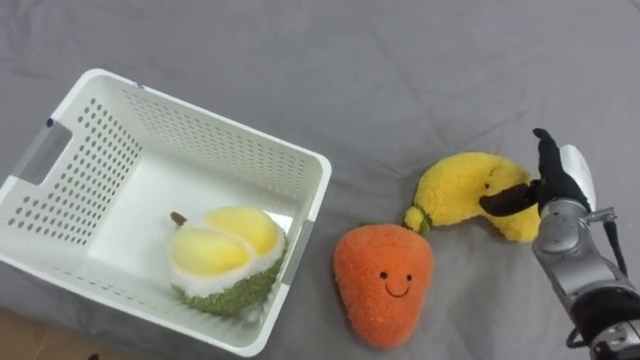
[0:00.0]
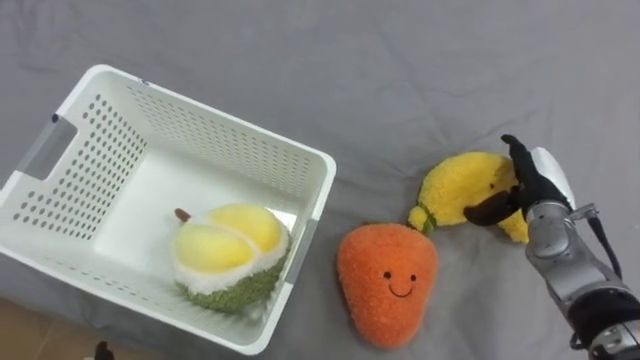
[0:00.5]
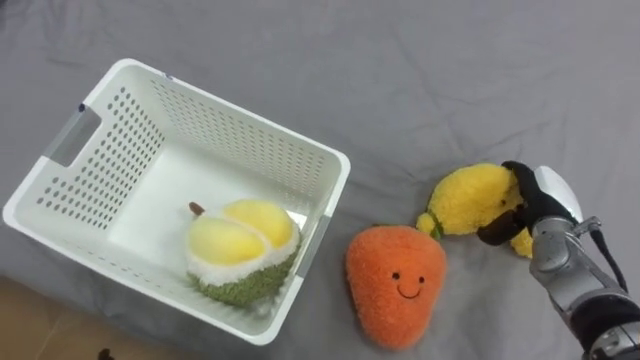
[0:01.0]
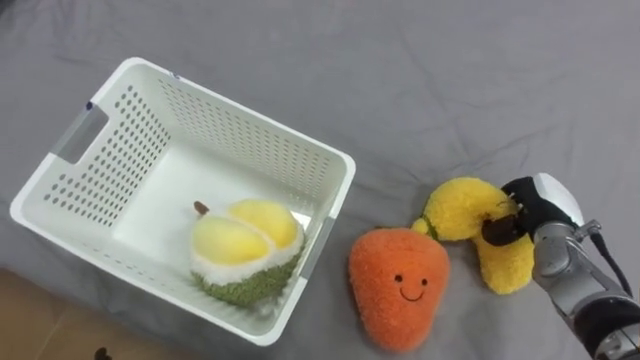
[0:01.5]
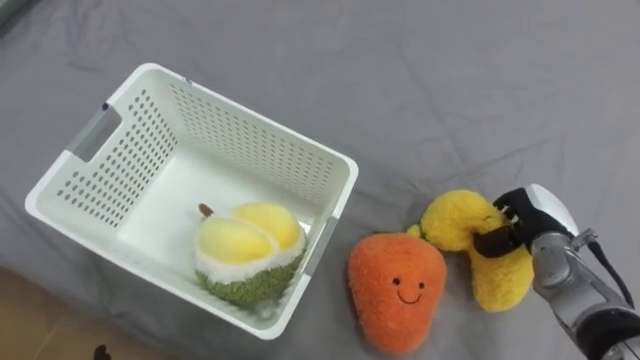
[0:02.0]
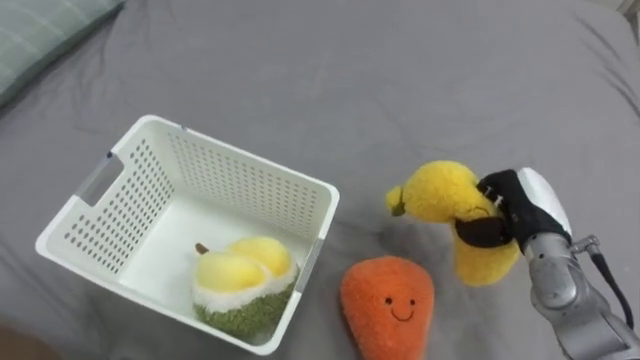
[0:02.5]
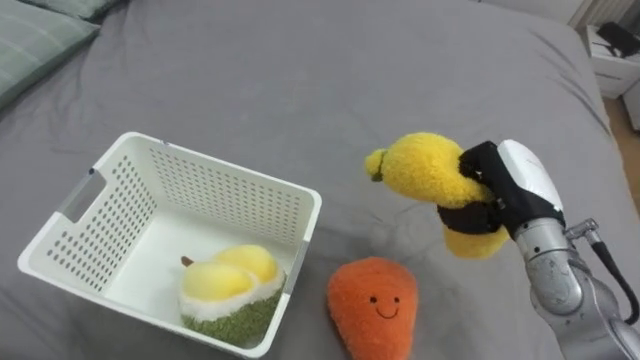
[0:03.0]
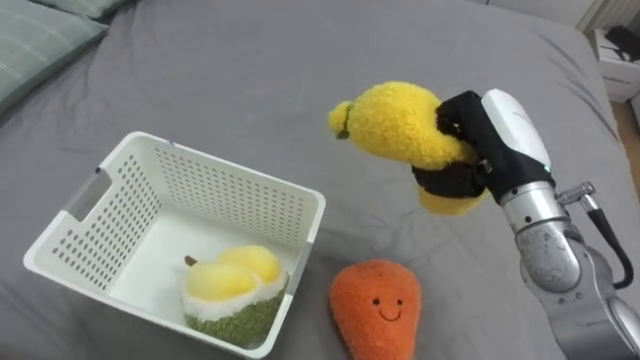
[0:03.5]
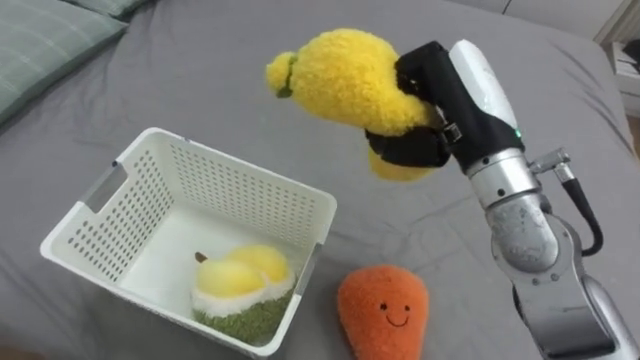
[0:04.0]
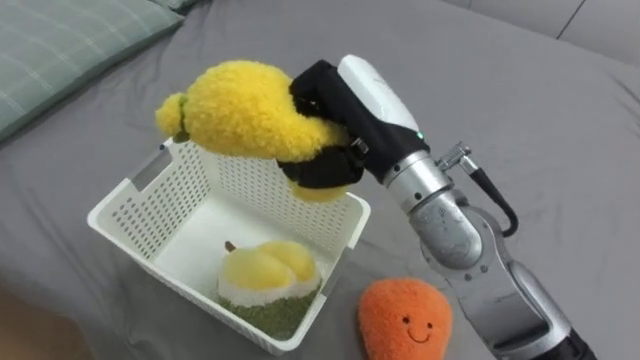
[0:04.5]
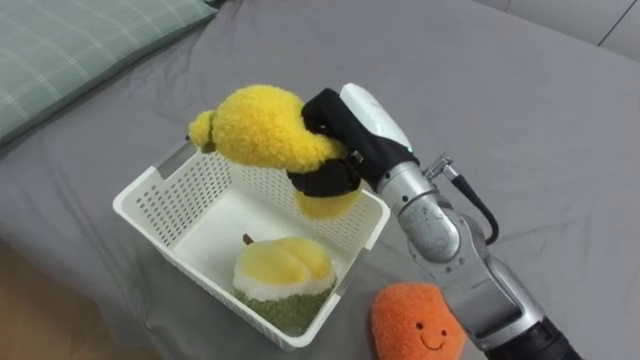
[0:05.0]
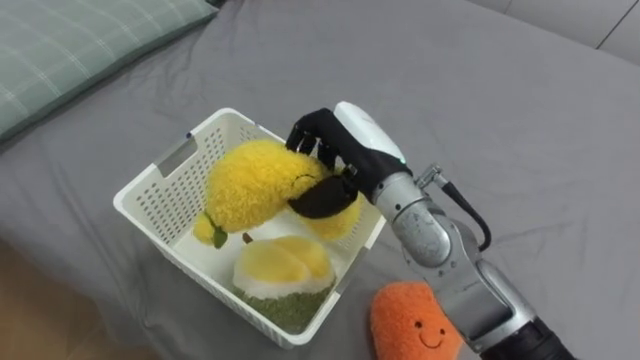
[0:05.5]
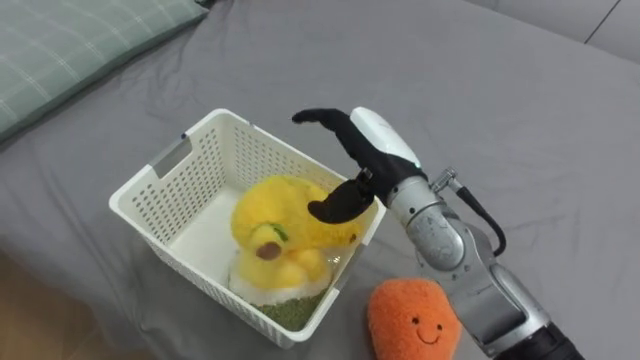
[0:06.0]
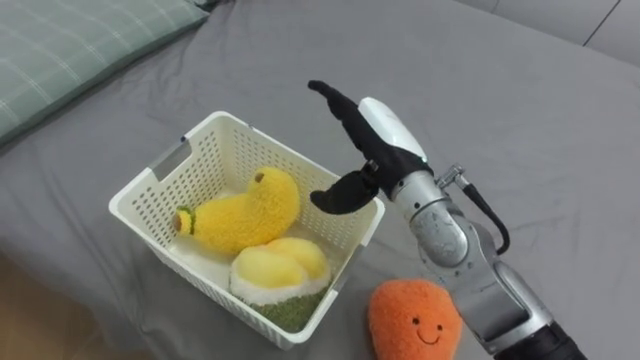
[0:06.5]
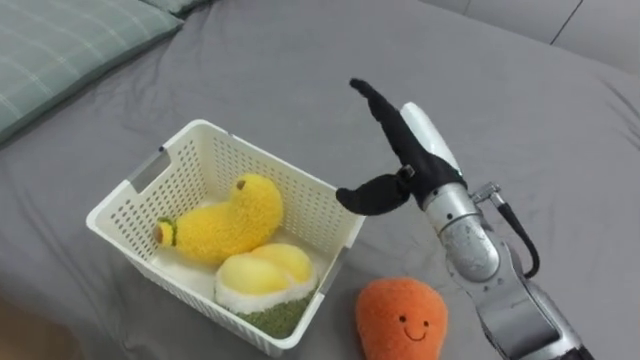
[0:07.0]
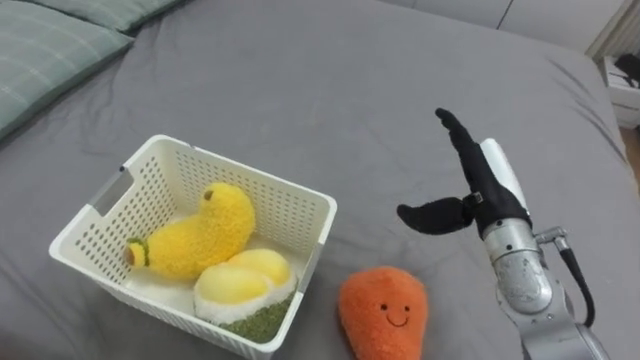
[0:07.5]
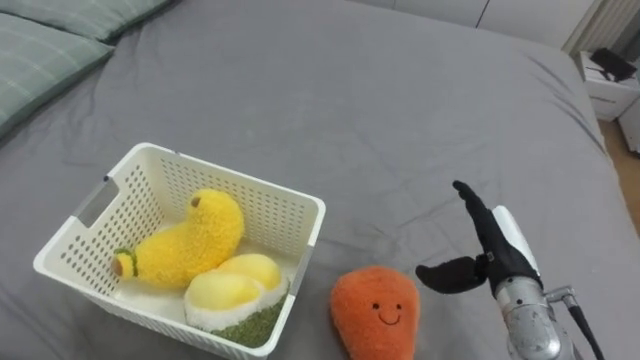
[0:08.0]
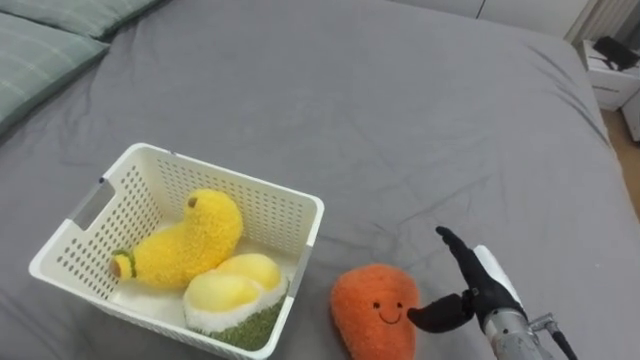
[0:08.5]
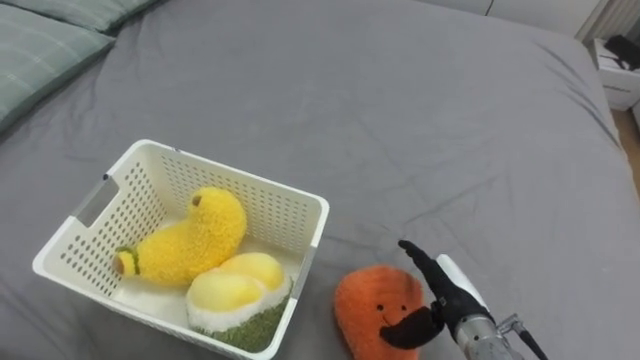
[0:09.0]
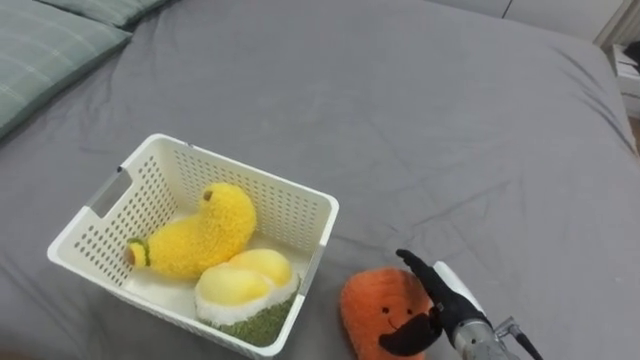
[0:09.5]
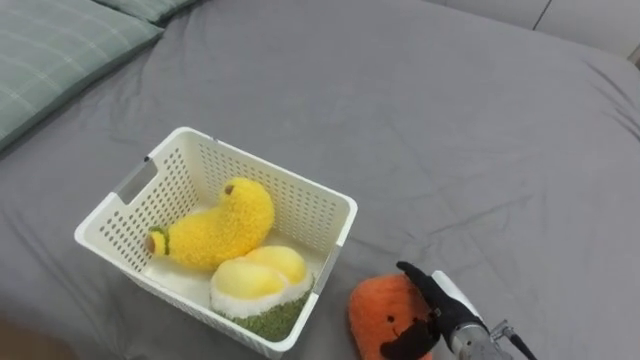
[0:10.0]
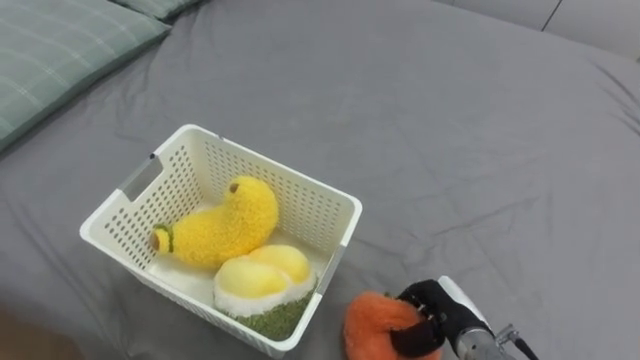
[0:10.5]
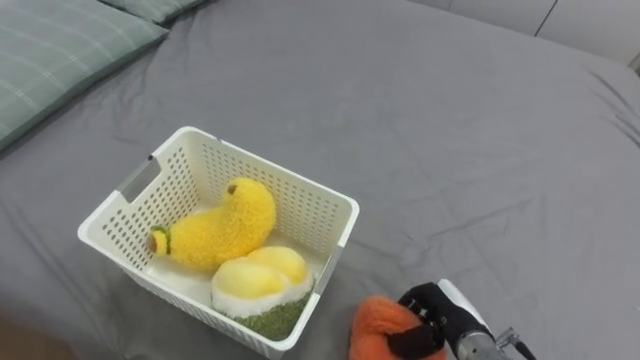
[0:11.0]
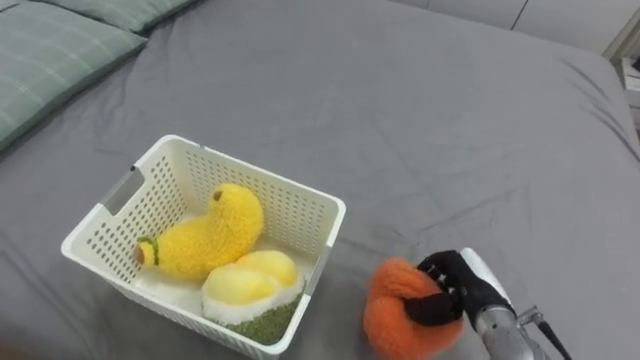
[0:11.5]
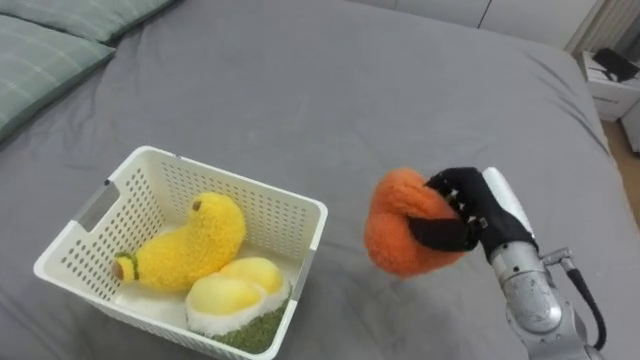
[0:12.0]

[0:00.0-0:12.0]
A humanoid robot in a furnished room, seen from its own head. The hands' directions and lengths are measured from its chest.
Task of the whole recording: Put the toys on the bed into the basket on the left.
0:00.0 to 0:02.0: The right hand is displaced downward by roughly 5 cm, and closes its fingers.
0:02.0 to 0:04.0: The right hand moves upward and to the left, roughly 30 cm.
0:04.0 to 0:06.0: The right hand heads to the left and downward, covering some 10 cm, and opens its fingers.
0:06.0 to 0:08.0: The right hand heads to the right and downward, covering approximately 20 cm.
0:08.0 to 0:10.0: The right hand heads downward and to the left, covering about 10 cm.
0:10.0 to 0:12.0: The right hand moves upward and forward, about 15 cm, and closes.

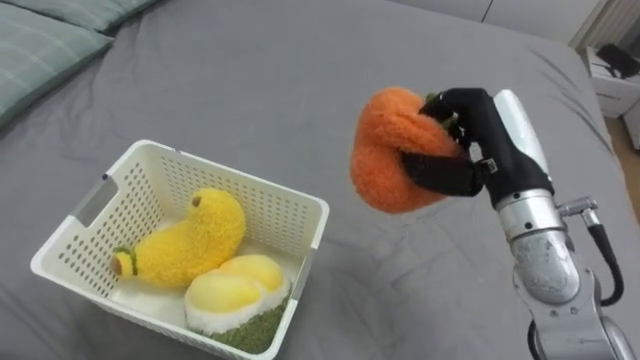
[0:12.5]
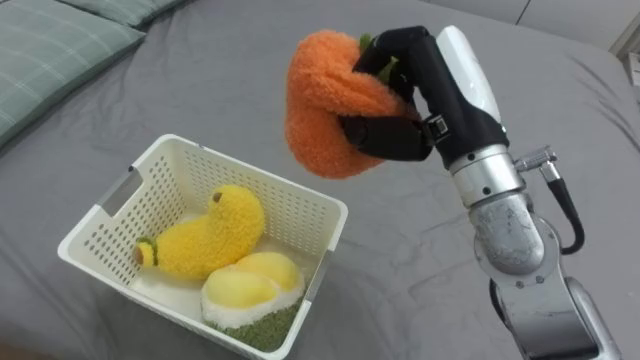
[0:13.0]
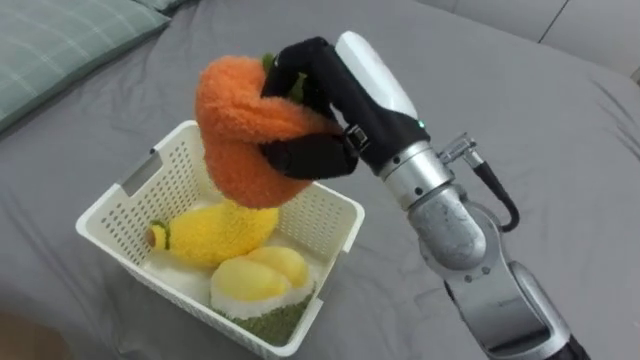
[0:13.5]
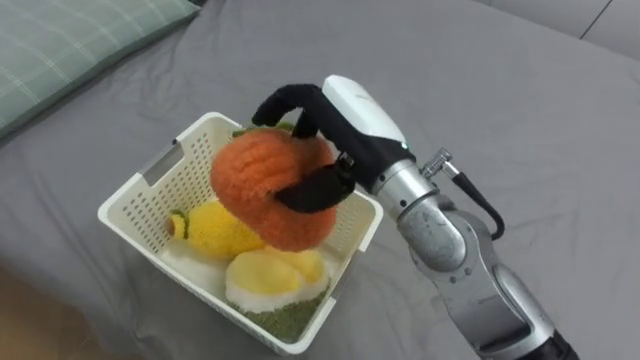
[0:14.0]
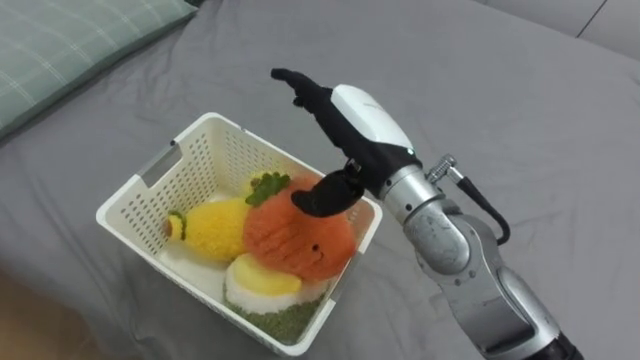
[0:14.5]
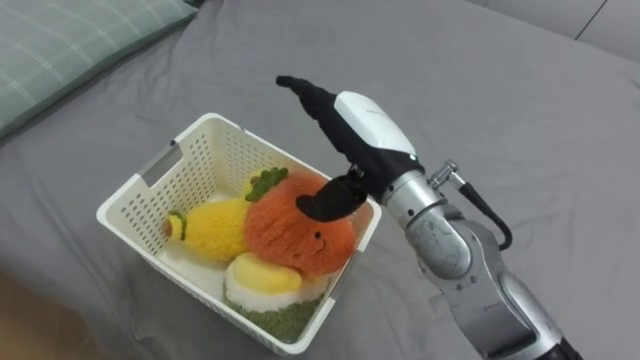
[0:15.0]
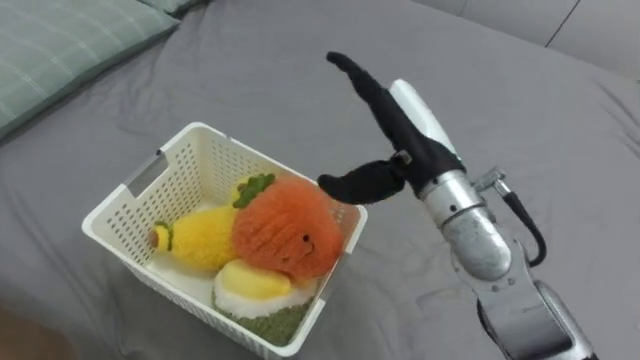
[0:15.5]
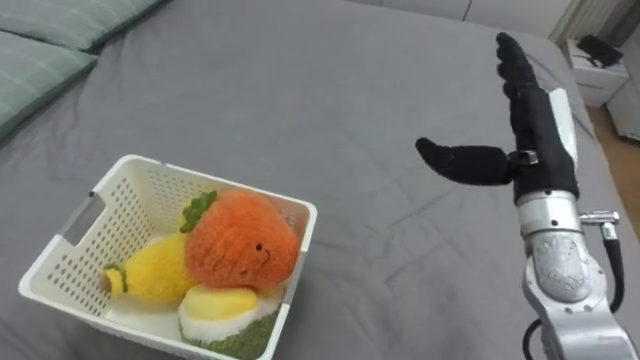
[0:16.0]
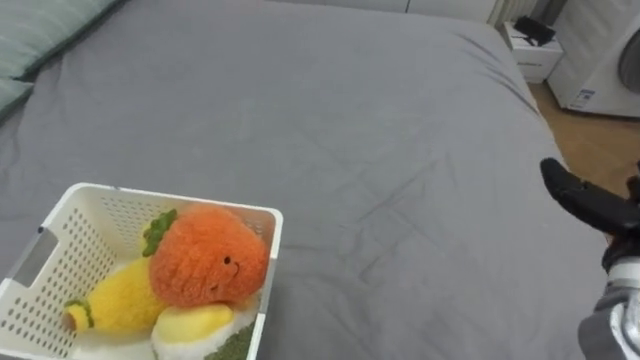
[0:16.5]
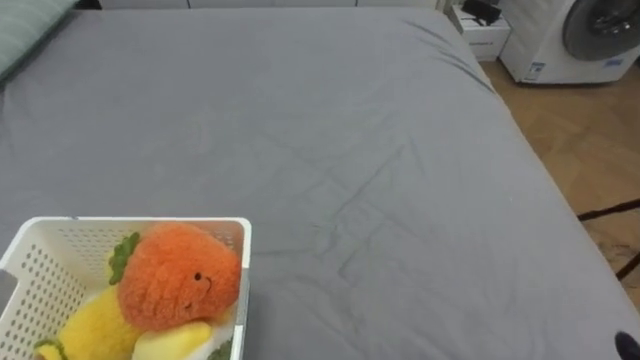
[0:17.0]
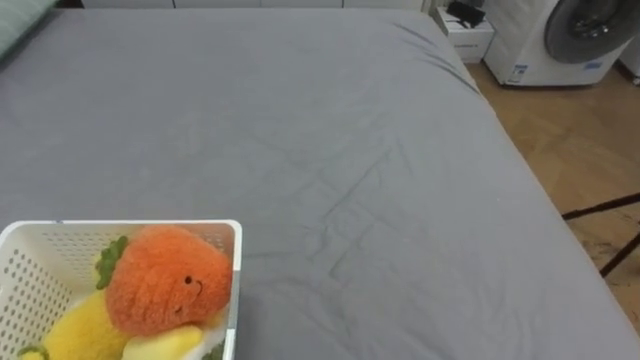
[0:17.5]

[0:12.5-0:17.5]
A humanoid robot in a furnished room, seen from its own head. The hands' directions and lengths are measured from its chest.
Task of the whole recording: Put the toys on the bed into the basket on the left.
0:12.5 to 0:15.0: The right hand travels to the left by approximately 15 cm, and opens.

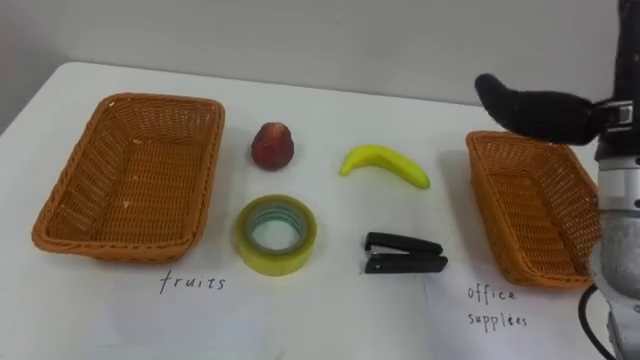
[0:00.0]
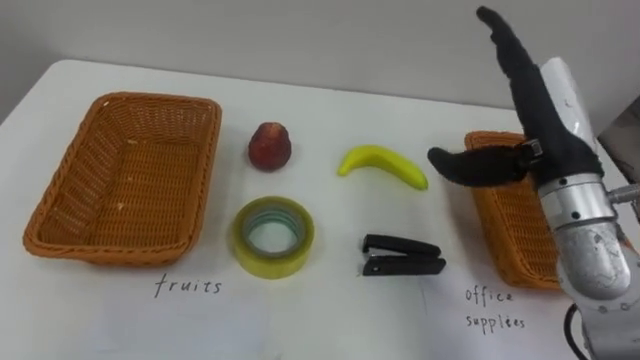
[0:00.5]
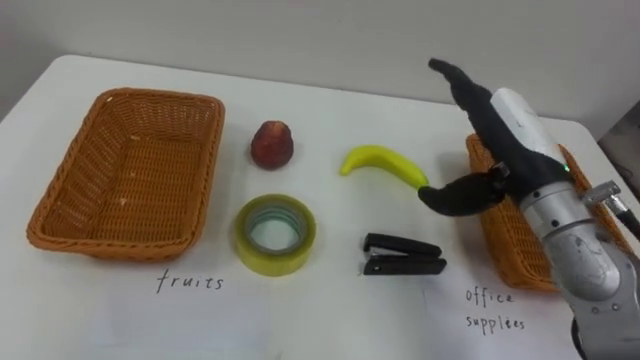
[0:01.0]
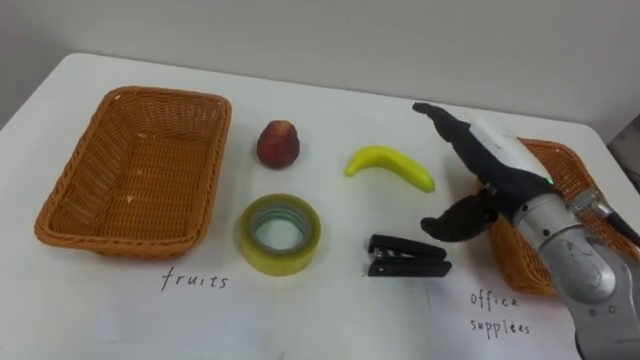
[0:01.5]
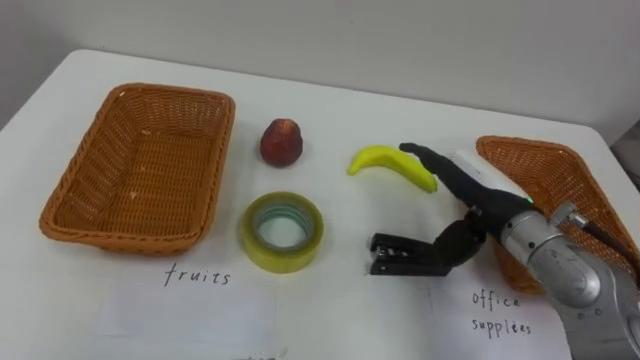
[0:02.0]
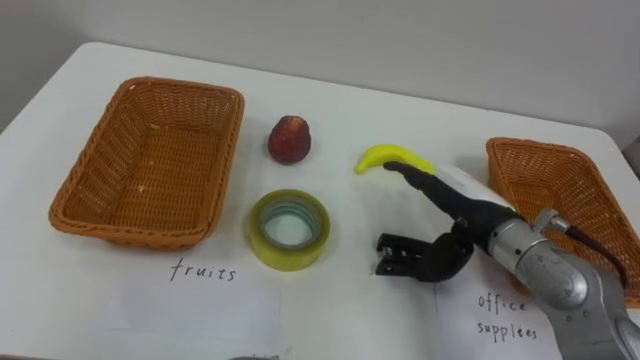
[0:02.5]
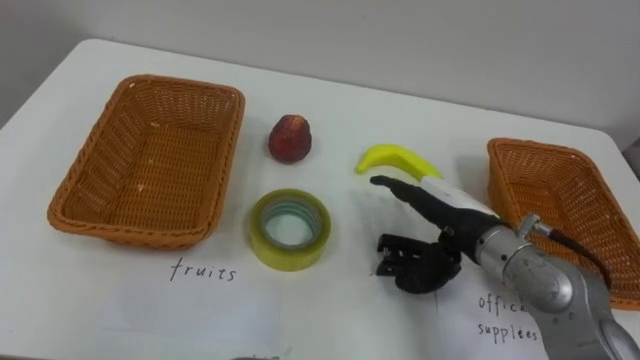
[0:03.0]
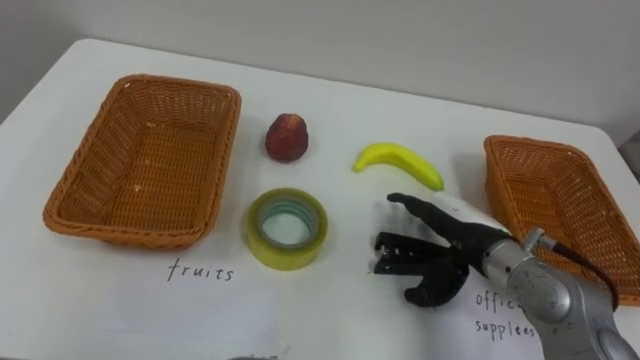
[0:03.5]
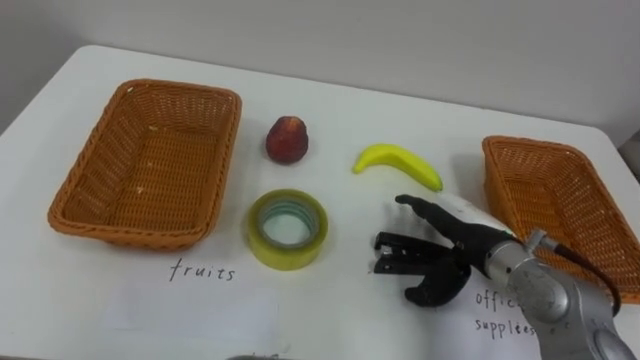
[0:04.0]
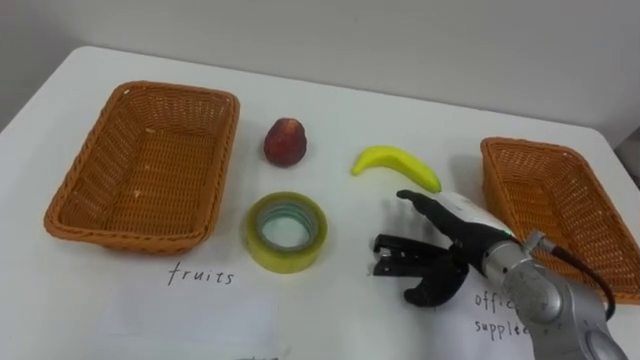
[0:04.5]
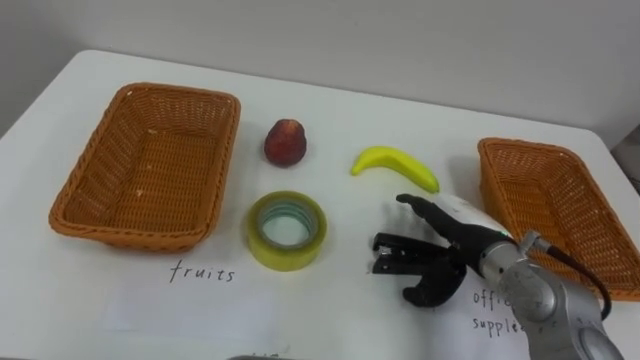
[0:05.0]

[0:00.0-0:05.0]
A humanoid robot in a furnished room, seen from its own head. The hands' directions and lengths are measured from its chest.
Task of the whole recording: Separate the items on the table and place them into the two baskets.
0:00.0 to 0:02.5: The right hand travels downward and to the left by approximately 20 cm.
0:02.5 to 0:05.0: The right hand is displaced downward by roughly 5 cm.
